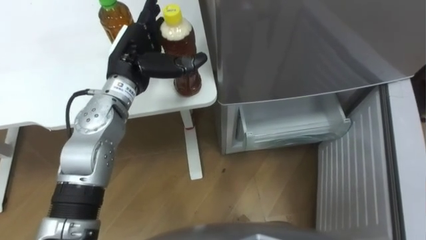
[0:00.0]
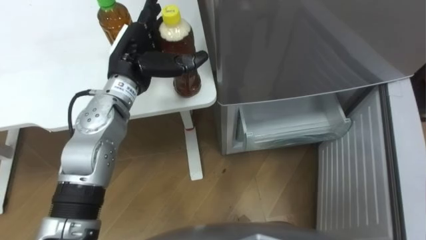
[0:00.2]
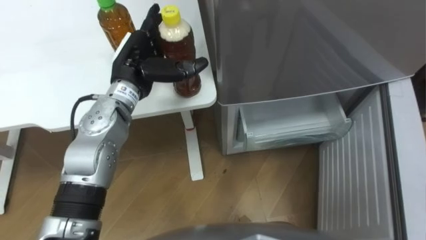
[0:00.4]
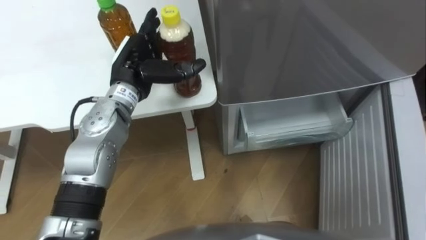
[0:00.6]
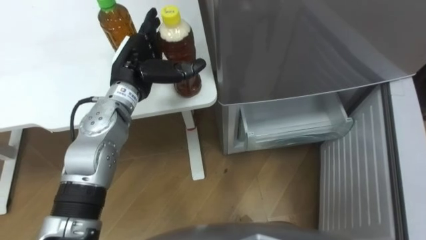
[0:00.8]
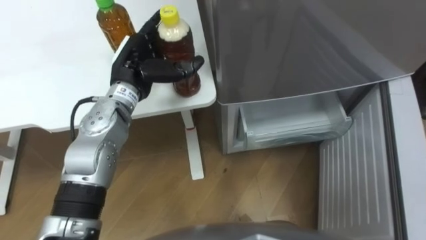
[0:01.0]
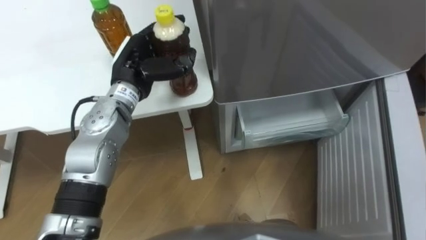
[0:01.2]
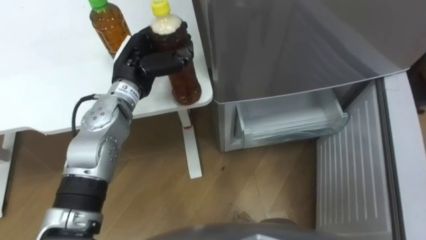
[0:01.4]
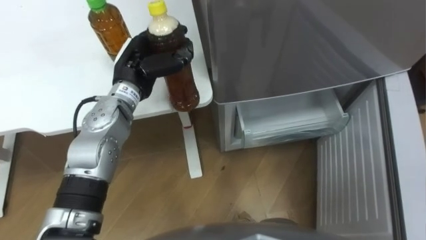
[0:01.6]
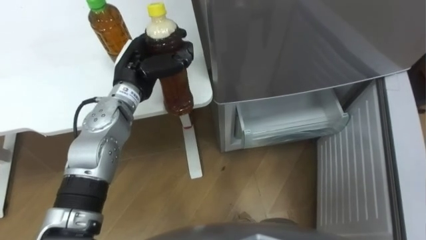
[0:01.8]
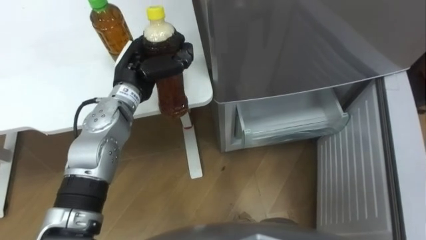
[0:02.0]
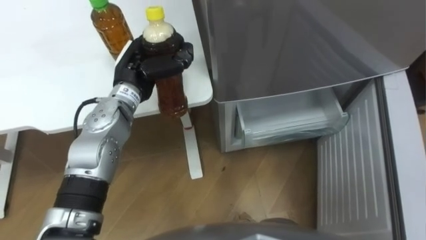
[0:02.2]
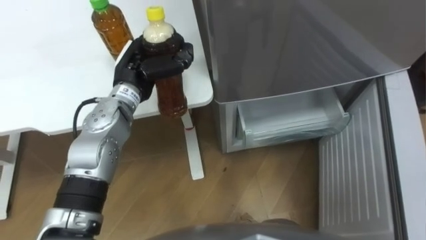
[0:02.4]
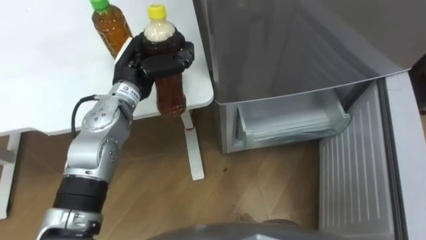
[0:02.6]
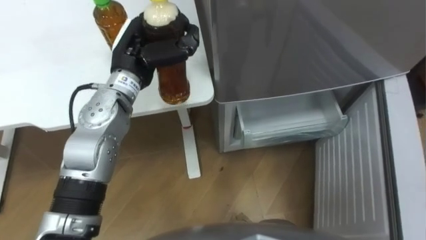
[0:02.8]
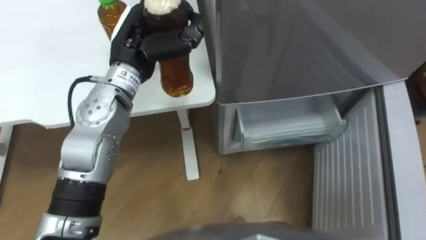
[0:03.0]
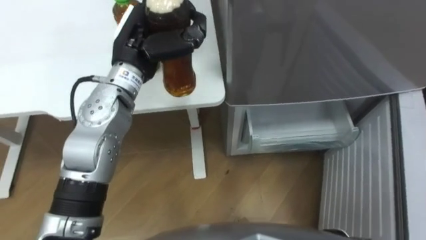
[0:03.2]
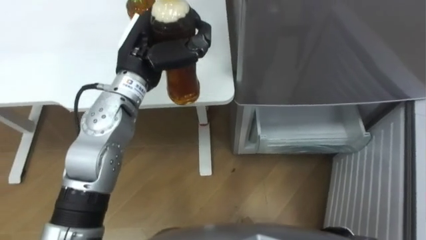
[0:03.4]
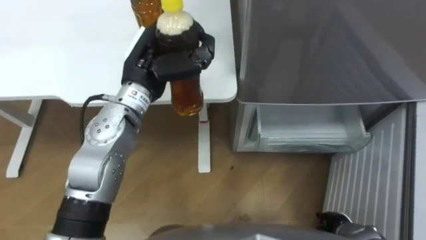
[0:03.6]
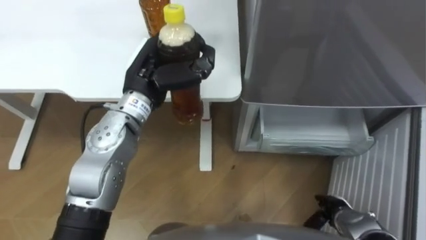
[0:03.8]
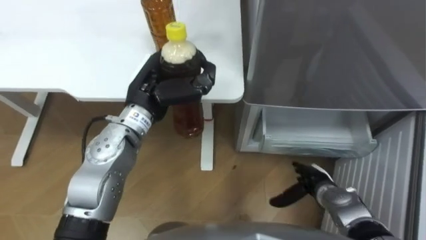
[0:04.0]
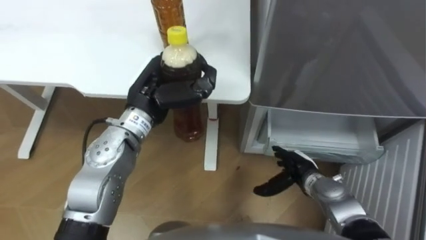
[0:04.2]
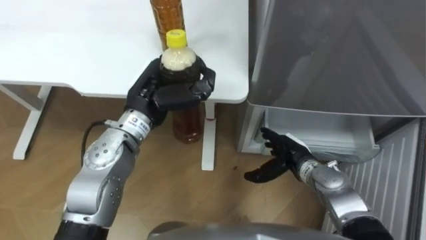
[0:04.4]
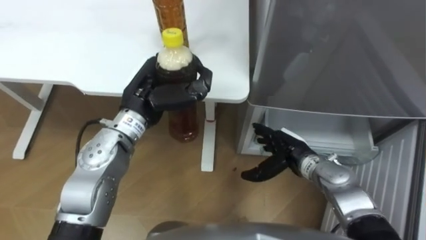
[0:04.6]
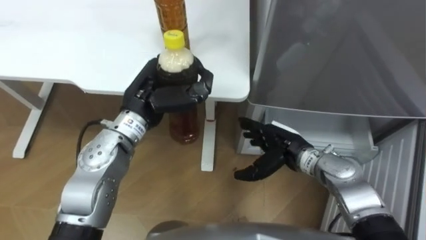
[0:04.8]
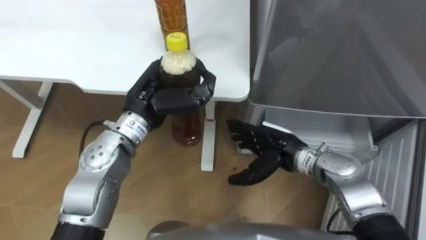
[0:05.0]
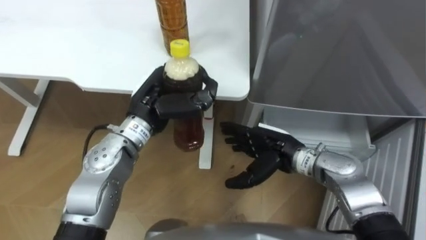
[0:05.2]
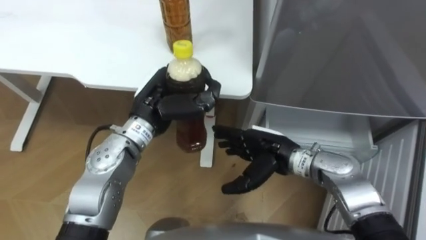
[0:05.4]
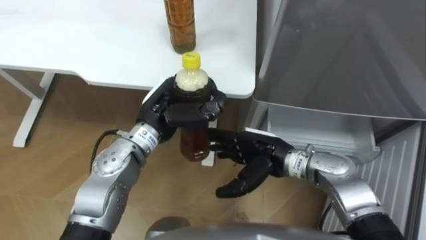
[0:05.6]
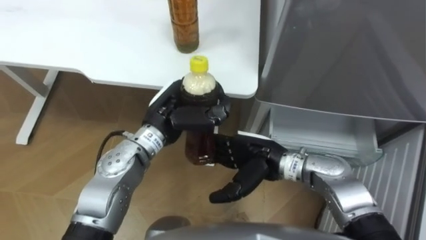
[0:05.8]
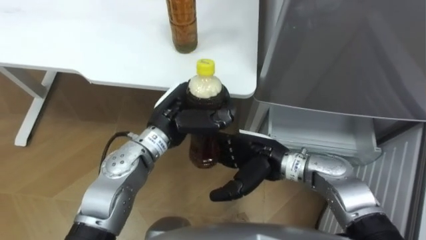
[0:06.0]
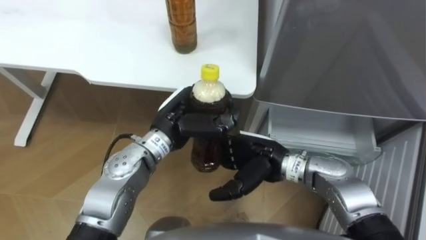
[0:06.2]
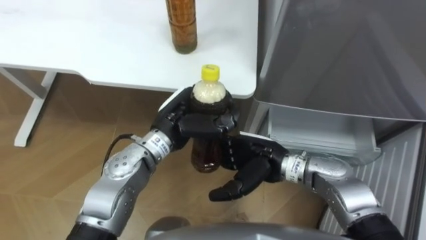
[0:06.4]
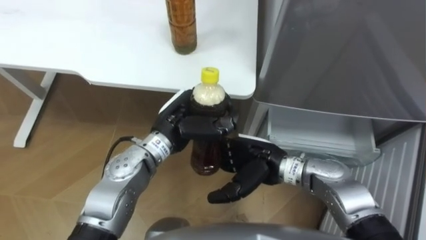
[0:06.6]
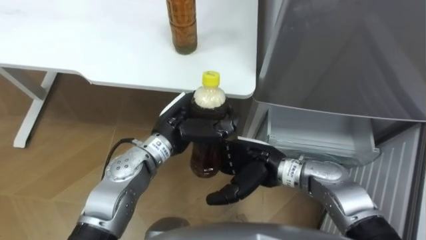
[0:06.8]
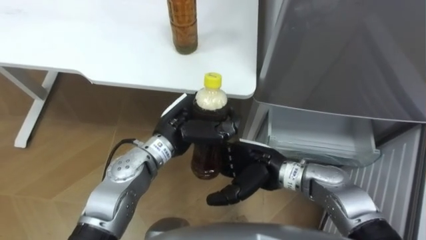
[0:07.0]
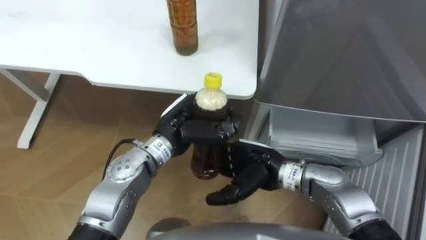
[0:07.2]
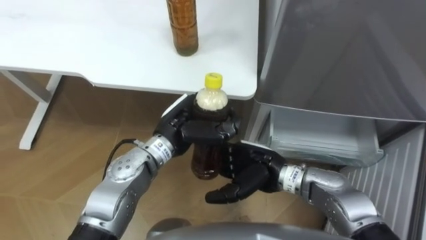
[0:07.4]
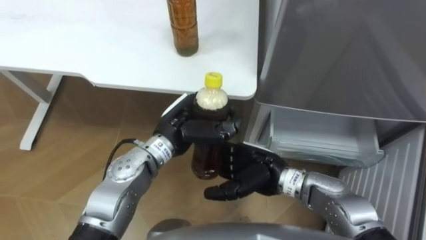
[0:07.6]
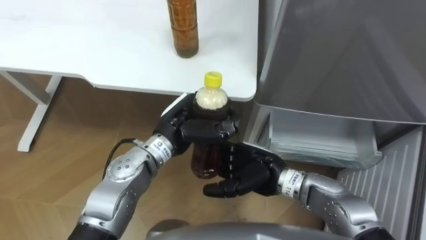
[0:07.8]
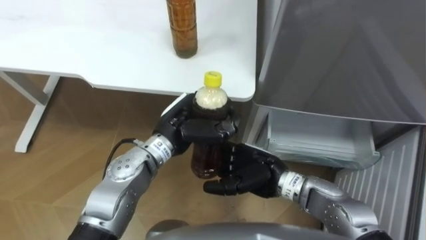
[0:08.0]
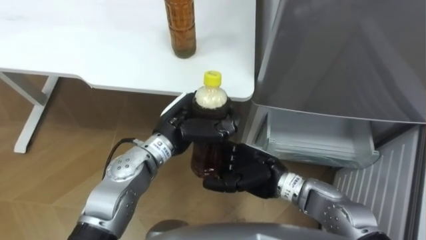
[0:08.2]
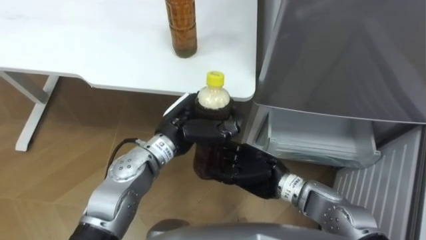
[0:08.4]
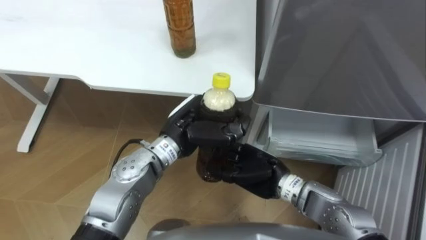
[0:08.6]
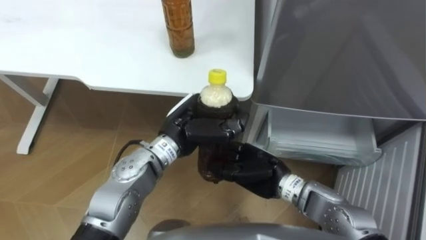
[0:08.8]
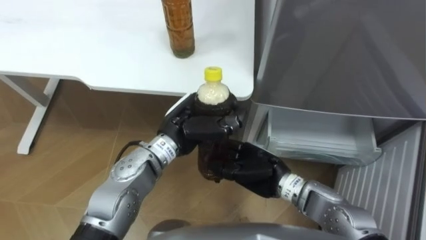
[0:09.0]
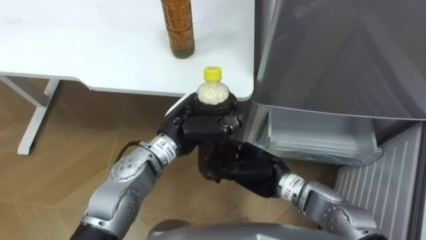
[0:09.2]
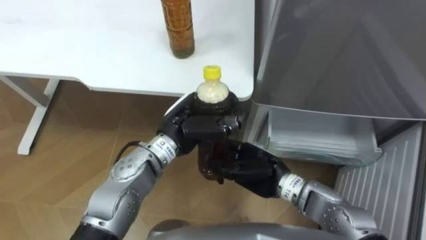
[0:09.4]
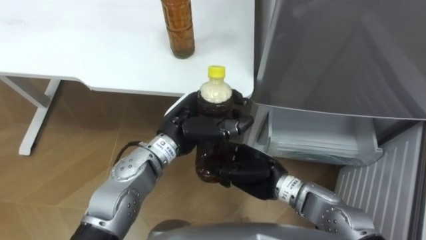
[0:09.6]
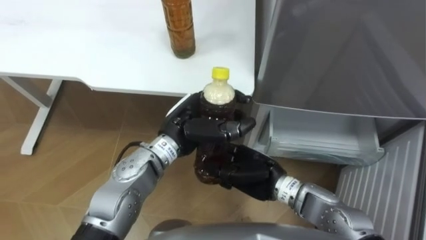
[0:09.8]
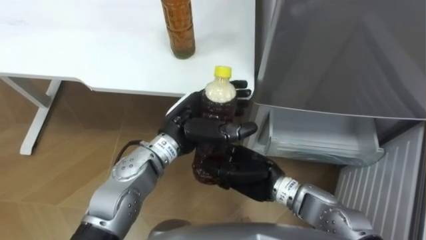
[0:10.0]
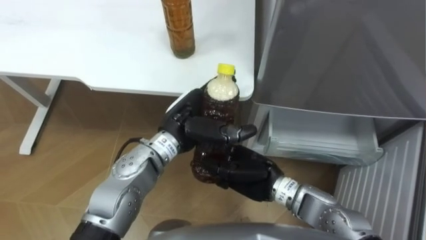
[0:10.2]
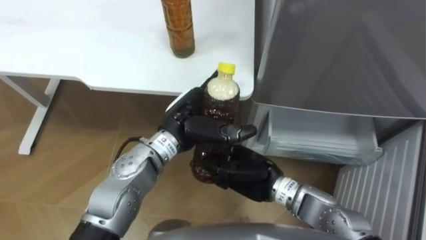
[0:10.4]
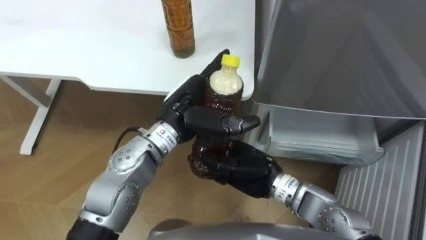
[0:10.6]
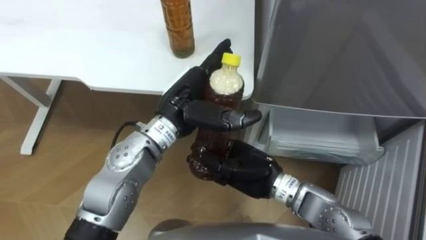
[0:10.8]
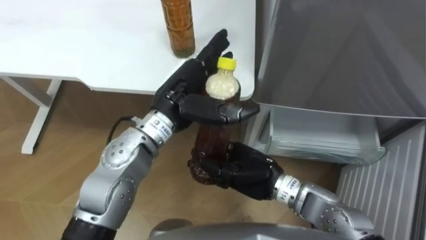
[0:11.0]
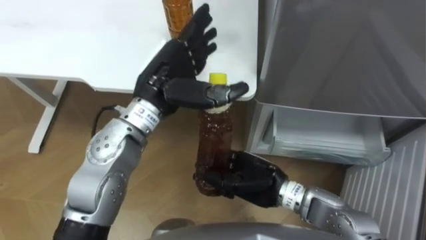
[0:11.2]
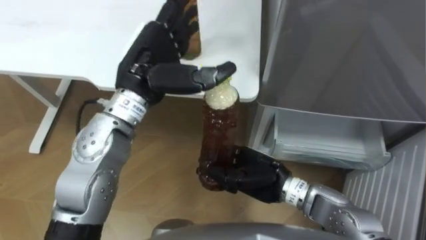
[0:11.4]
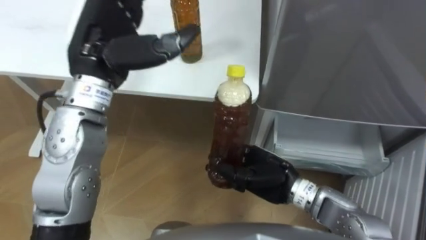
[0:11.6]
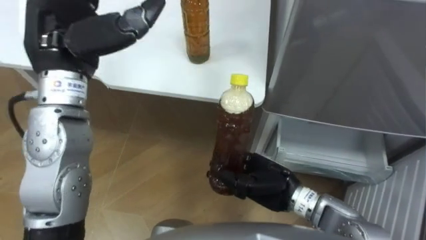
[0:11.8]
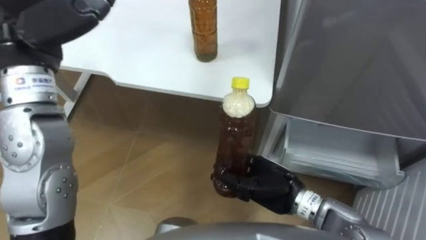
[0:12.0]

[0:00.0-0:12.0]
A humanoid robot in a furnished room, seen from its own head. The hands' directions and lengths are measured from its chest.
Task of the whole recording: Place the drink on the table on the bottom shelf of the refrigerator, then close the drawer and the refrigerator door.
0:00.0 to 0:01.6: The left hand closes.
0:01.6 to 0:03.0: The left hand is displaced upward by approximately 5 cm.
0:03.0 to 0:04.4: The left hand goes about 10 cm downward and backward.
0:04.4 to 0:06.0: The left hand changes place by about 5 cm, while the right hand shifts about 15 cm to the left and upward.
0:06.0 to 0:07.6: The hands make only small movements.
0:07.6 to 0:09.0: The right hand closes its fingers.
0:09.0 to 0:10.4: The left hand opens its fingers.
0:10.4 to 0:12.0: The left hand travels upward and to the left by roughly 25 cm.

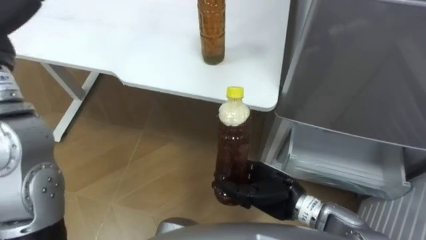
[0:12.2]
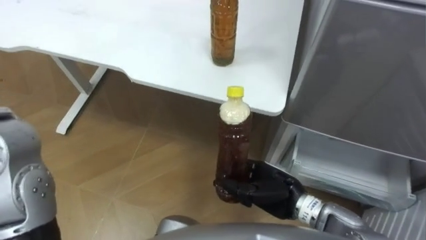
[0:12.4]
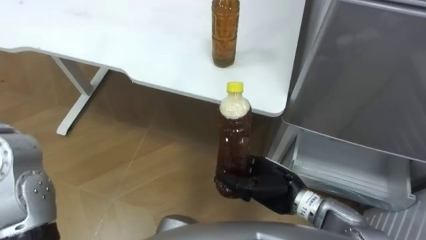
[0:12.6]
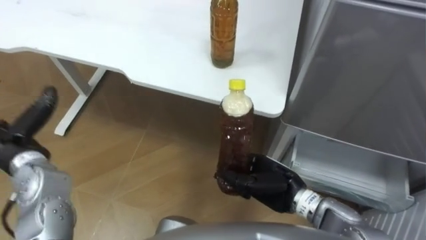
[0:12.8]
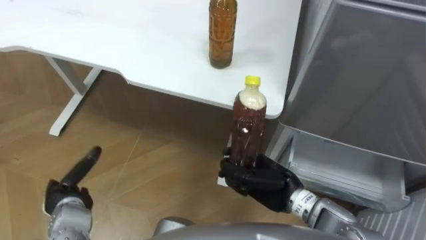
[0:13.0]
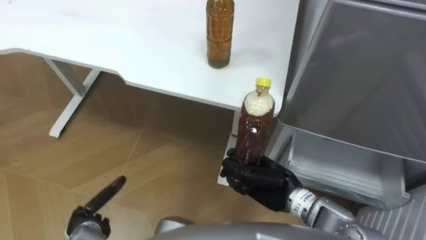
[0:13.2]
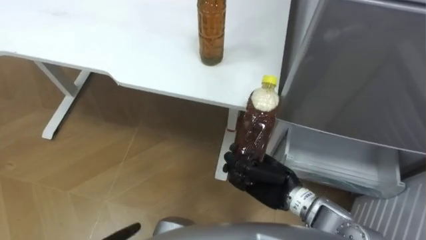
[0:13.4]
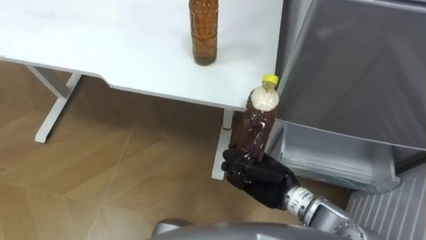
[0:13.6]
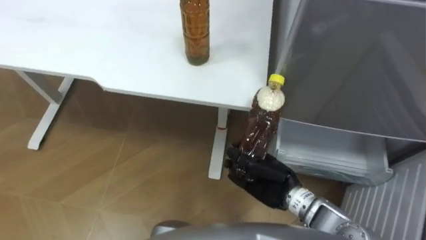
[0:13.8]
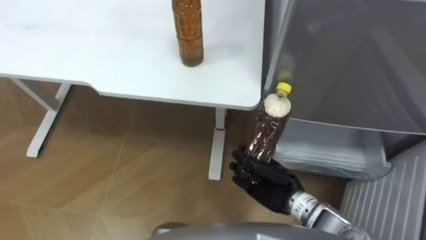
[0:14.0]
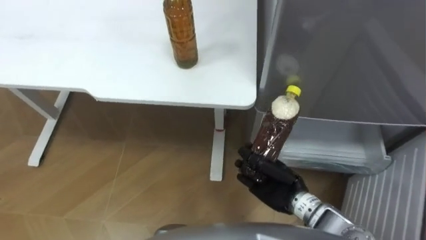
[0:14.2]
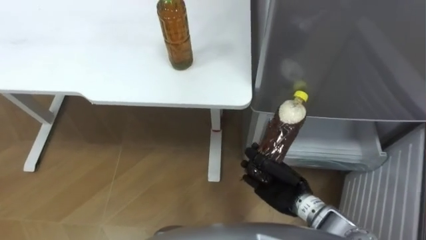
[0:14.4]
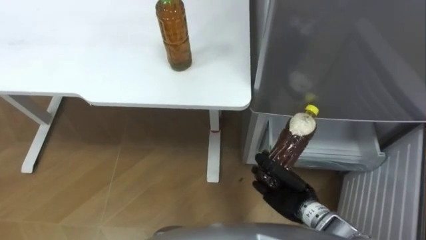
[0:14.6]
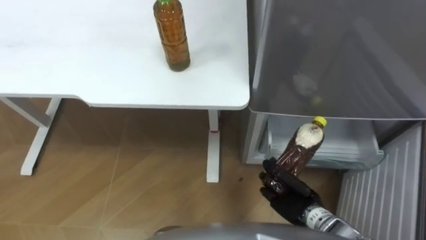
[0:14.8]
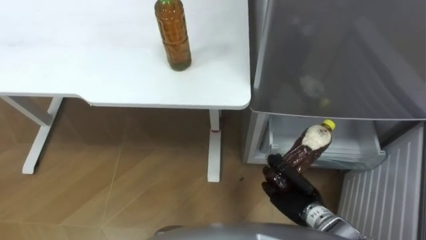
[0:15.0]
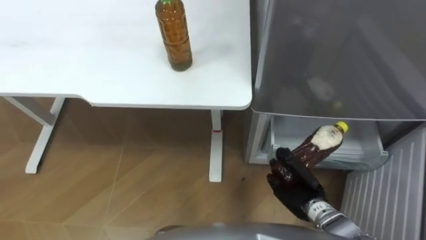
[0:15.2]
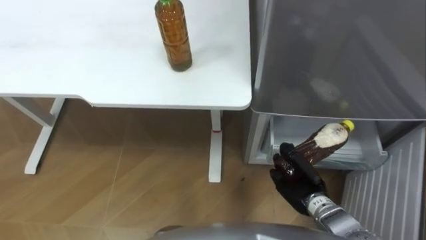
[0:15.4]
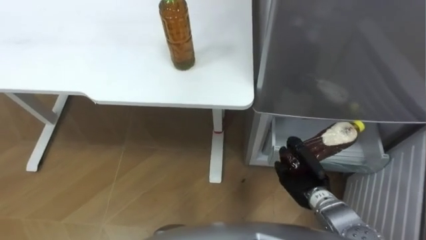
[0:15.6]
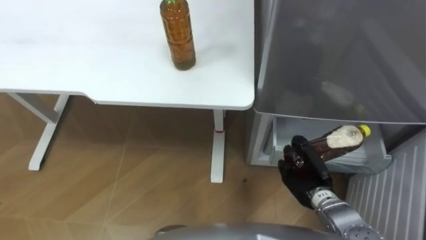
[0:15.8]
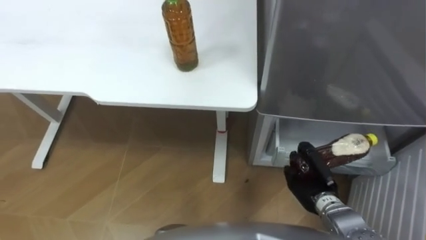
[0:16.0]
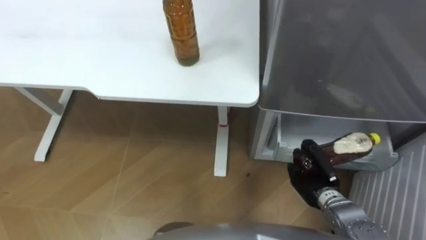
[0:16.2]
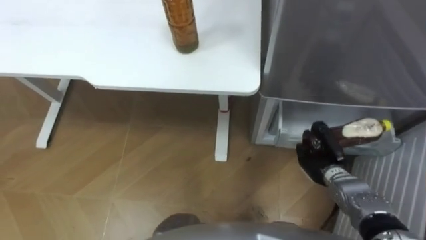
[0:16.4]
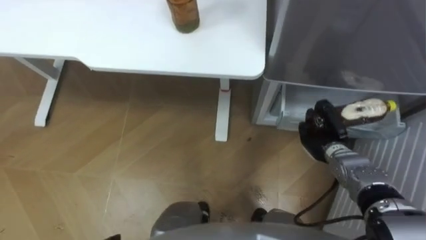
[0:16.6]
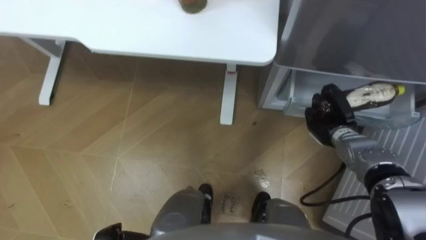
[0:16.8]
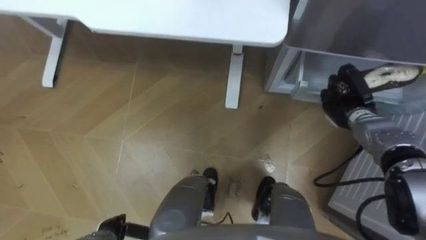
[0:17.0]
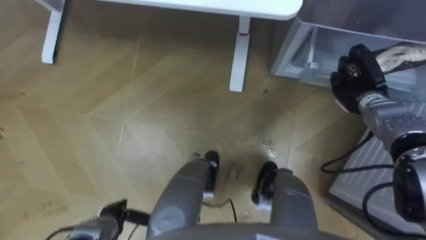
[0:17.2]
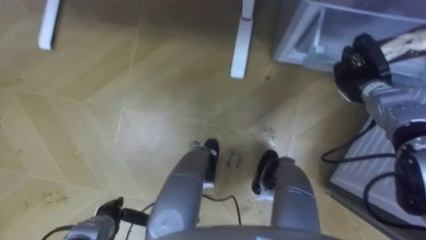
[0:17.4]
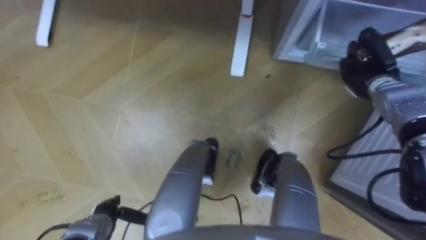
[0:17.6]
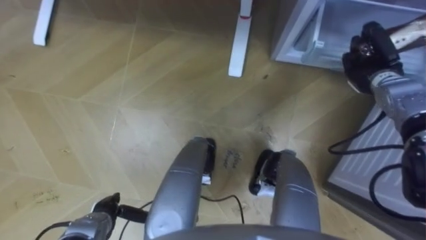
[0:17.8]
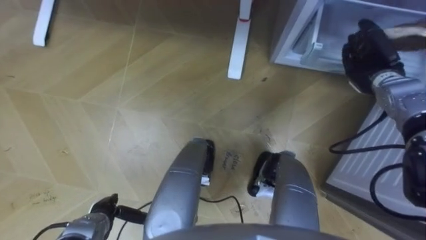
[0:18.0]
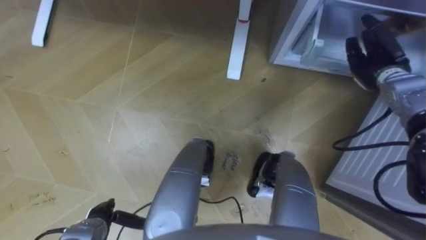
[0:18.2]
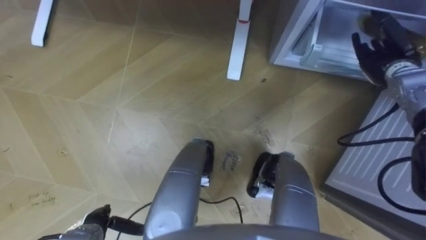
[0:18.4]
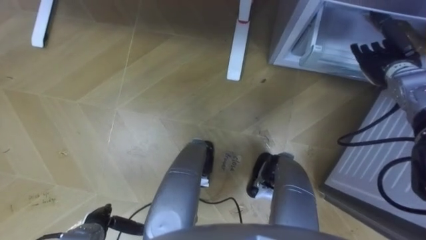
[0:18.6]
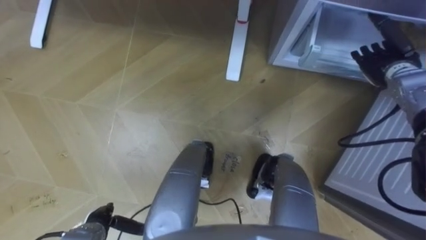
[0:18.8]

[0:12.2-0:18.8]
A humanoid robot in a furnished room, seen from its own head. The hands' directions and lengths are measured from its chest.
Task of the whole recording: Place the drink on the table on the bottom shelf of the refrigerator, then close the drawer and the refrigerator door.
0:13.8 to 0:15.4: The right hand moves to the right and downward, approximately 10 cm.
0:15.4 to 0:17.2: The right hand shifts about 25 cm forward, to the right and upward.
0:17.2 to 0:18.8: The right hand heads upward, covering about 5 cm, and opens.
